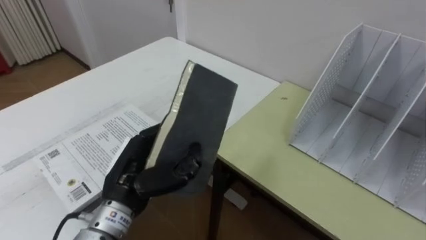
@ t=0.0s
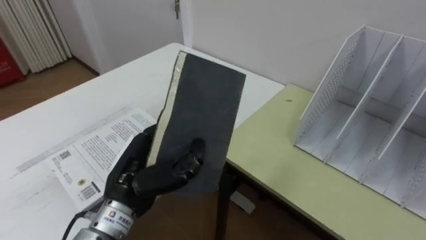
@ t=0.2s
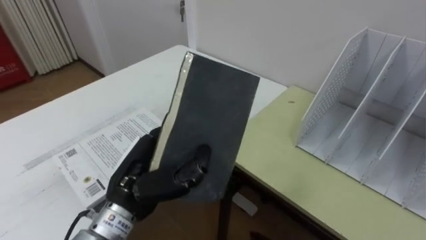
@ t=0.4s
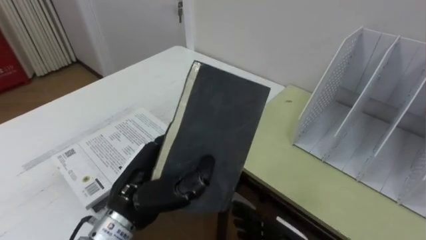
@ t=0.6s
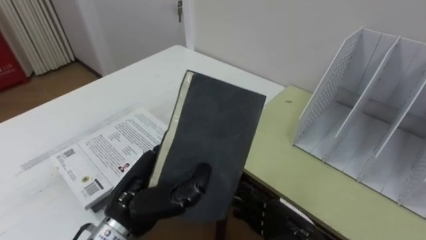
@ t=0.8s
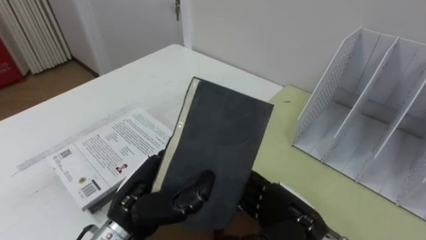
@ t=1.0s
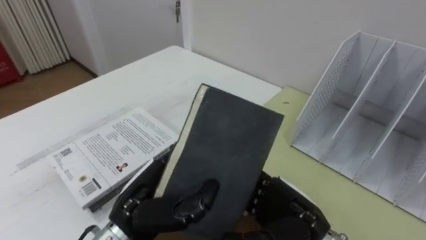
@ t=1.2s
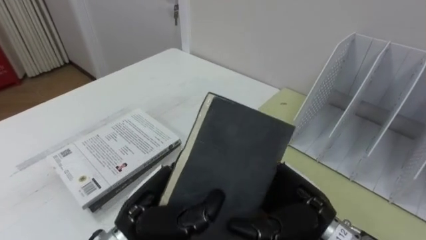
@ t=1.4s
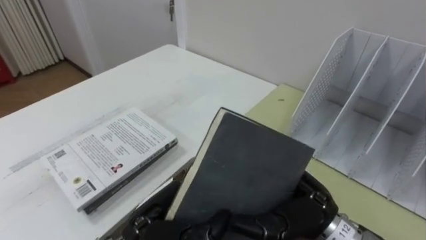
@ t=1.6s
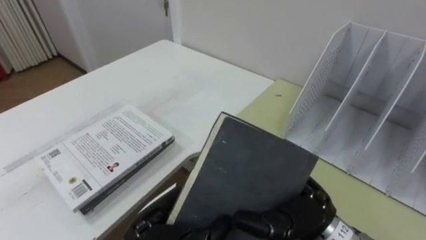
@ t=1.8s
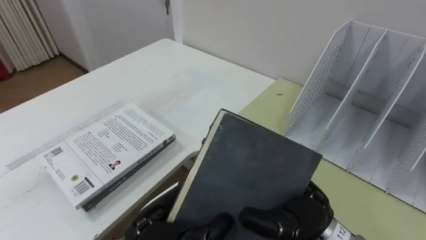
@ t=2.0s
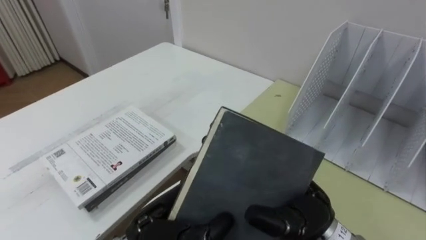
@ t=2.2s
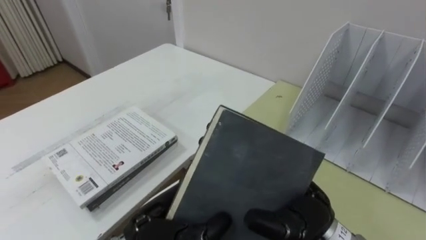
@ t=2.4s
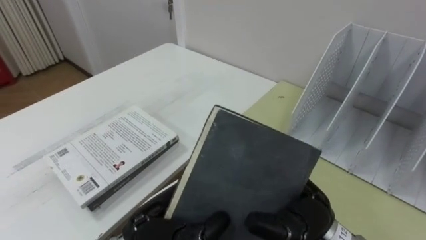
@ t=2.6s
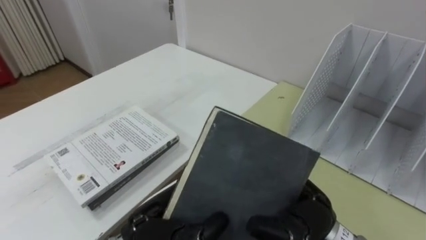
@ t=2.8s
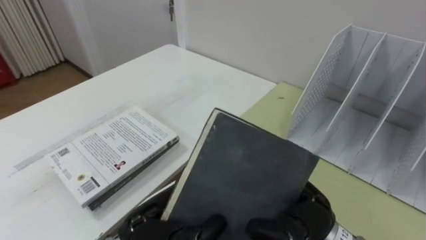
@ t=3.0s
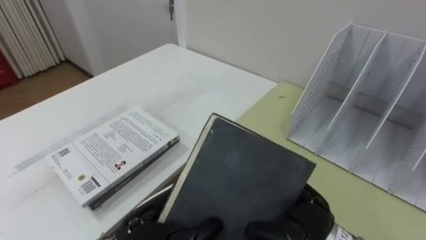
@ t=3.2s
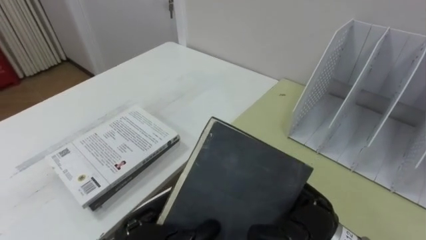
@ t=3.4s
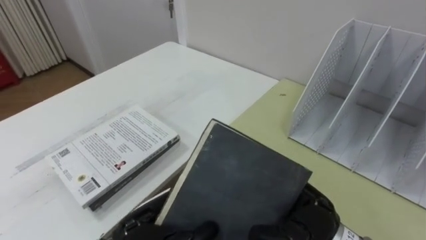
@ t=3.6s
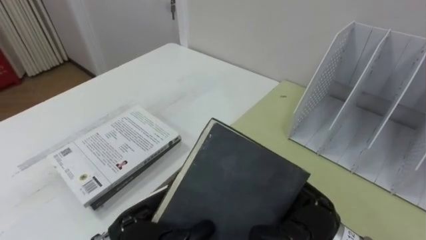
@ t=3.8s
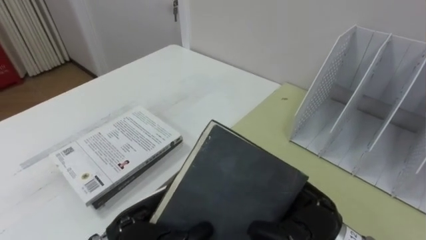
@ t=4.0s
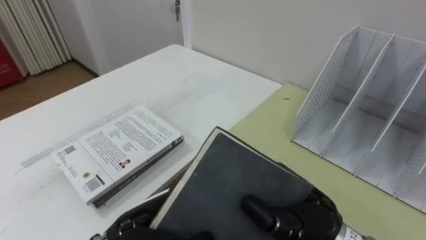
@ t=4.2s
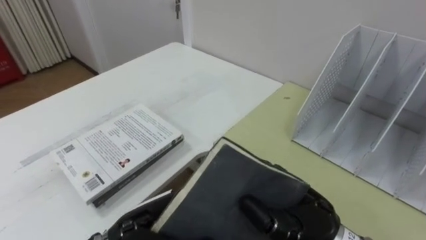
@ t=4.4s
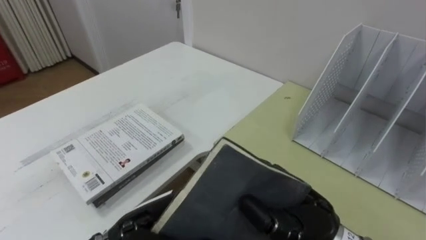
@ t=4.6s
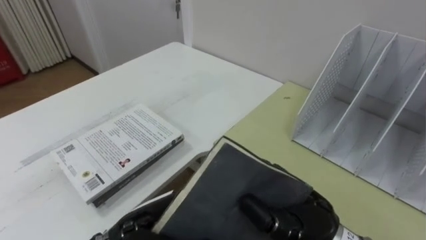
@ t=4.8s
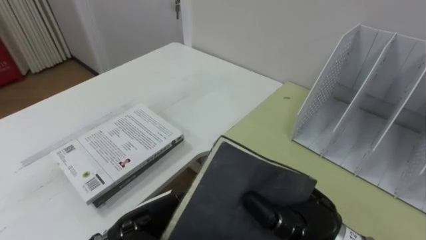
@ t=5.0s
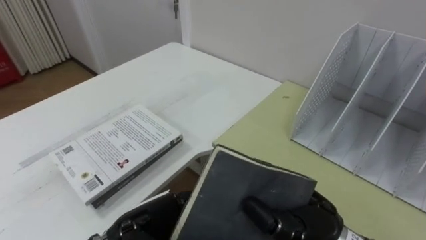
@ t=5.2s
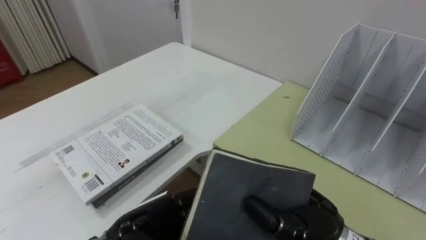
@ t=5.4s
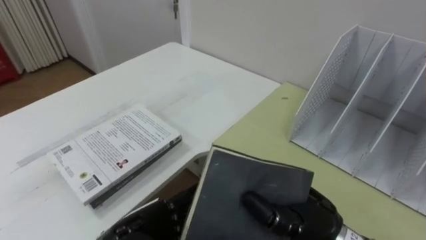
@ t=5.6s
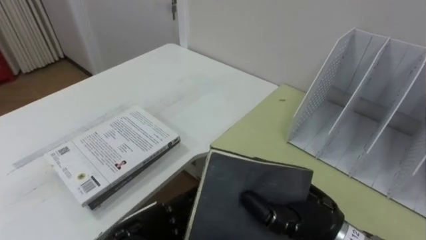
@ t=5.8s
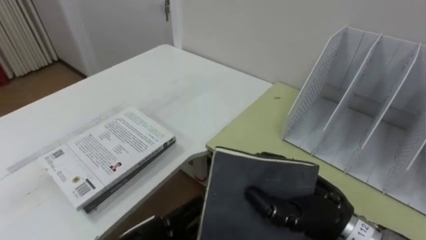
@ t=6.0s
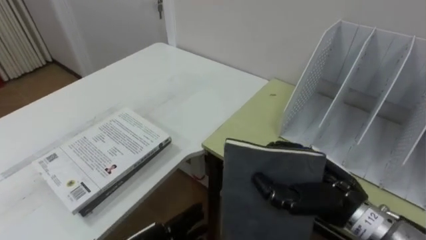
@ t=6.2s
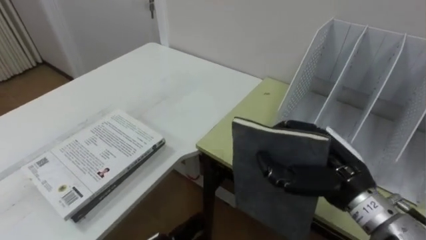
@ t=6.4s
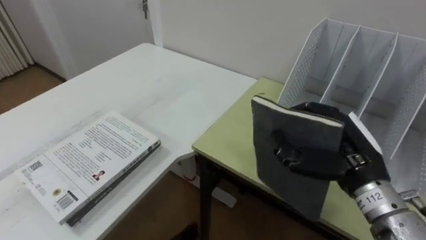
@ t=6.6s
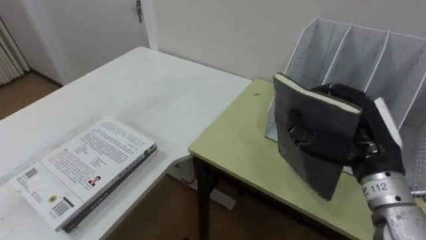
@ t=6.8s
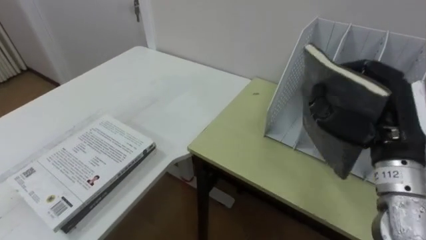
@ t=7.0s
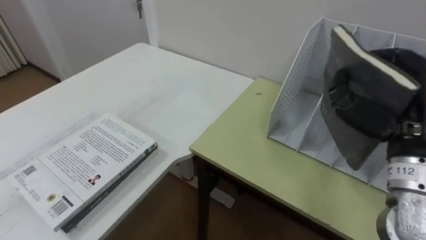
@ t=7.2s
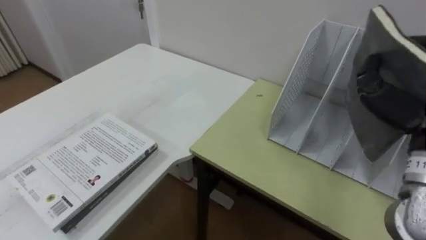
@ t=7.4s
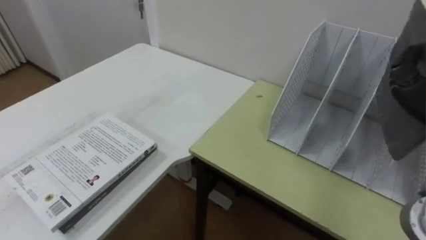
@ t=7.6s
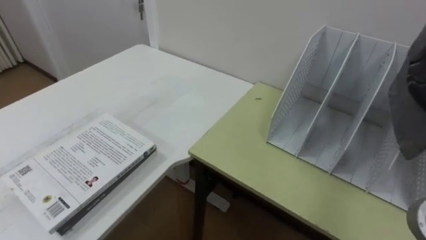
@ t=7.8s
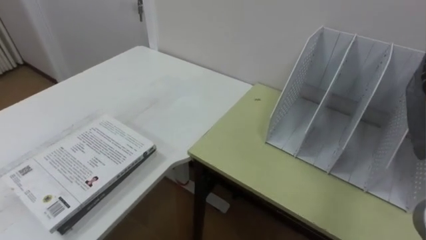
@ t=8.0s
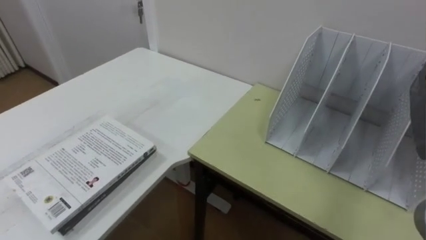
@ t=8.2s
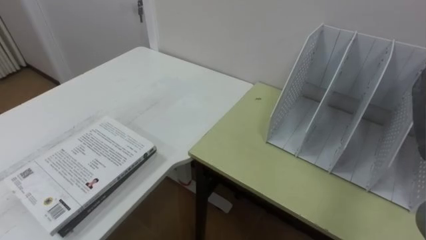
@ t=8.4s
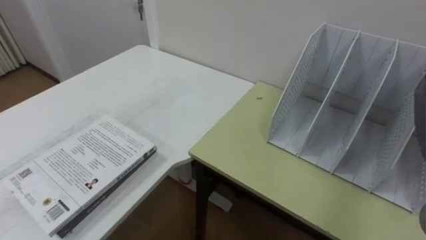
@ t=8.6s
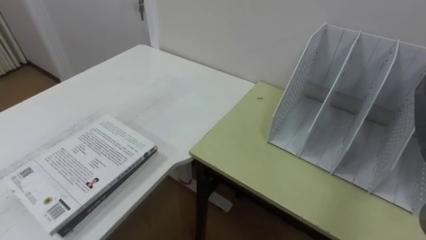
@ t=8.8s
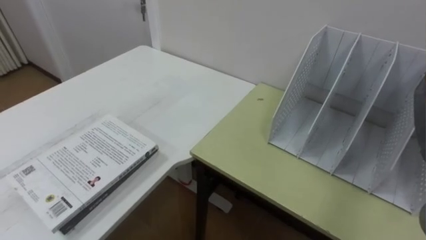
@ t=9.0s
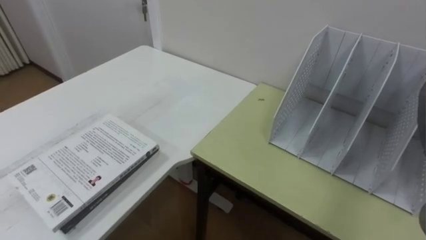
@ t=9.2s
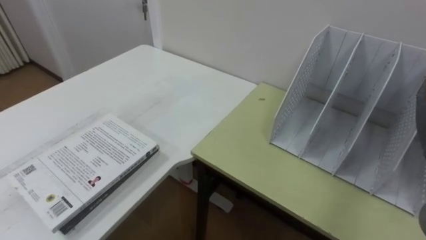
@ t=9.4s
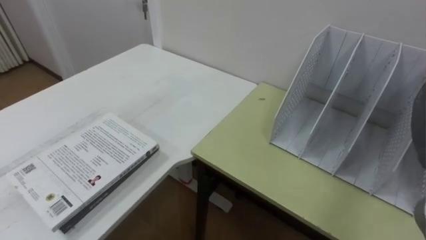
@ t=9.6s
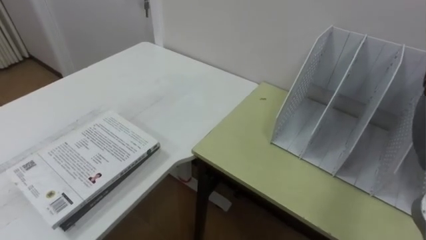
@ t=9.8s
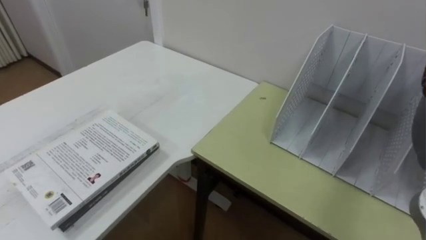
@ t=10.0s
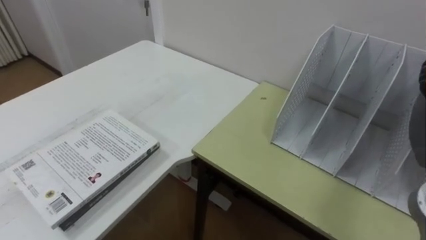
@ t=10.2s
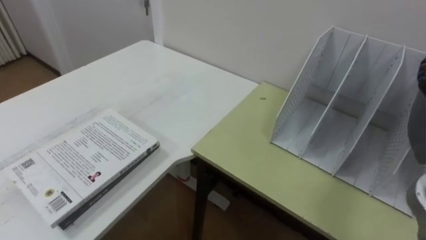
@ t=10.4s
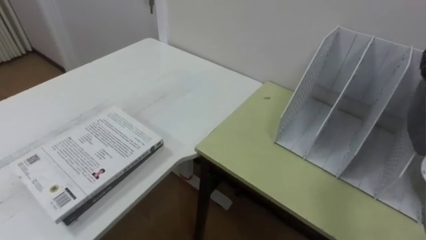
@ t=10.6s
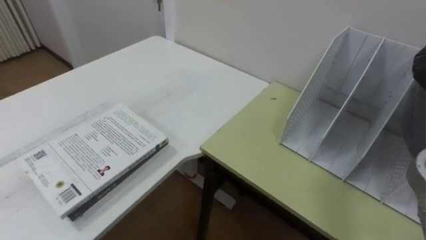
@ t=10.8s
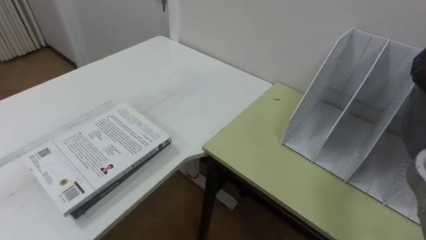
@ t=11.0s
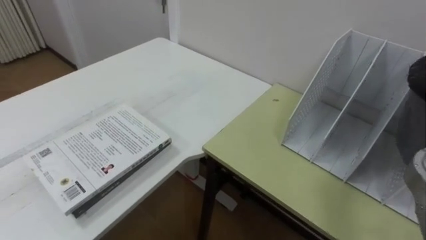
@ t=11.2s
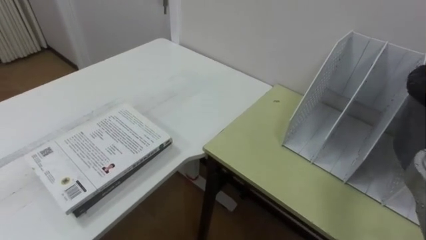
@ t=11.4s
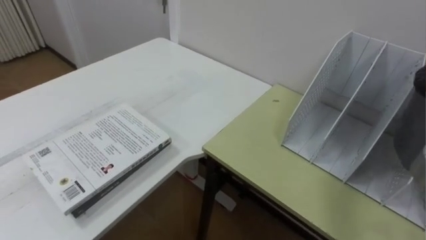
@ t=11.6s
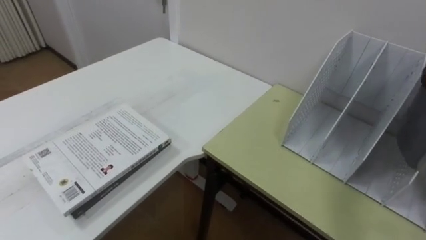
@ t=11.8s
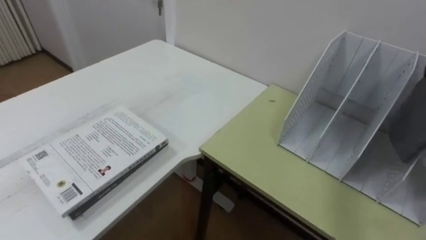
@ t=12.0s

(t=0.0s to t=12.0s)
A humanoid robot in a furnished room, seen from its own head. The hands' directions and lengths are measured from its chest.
Task of the whole recording: Put the books on the table onto the bookshelf.
t=0.0s - t=1.6s: The left hand travels backward and to the right by about 10 cm.
t=3.0s - t=4.4s: The right hand closes.

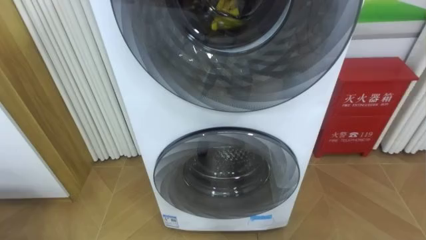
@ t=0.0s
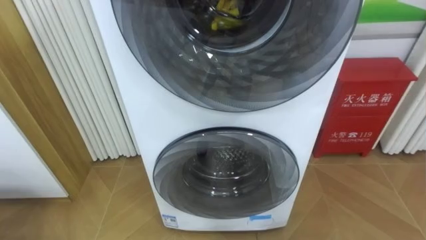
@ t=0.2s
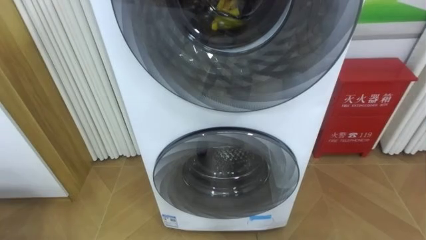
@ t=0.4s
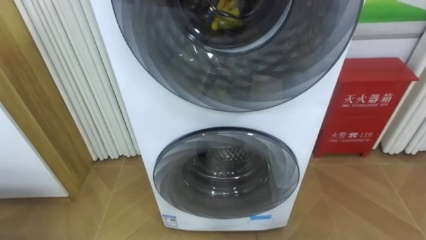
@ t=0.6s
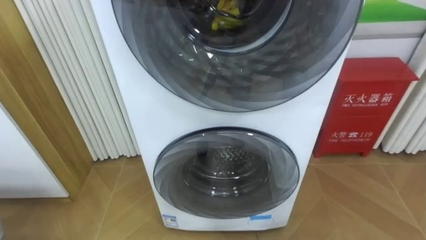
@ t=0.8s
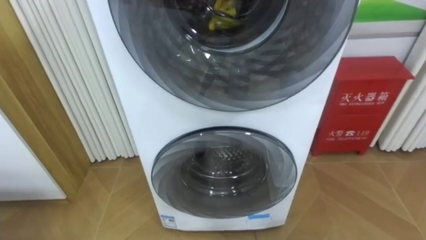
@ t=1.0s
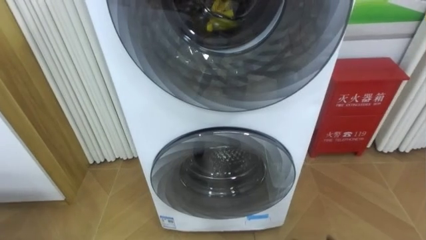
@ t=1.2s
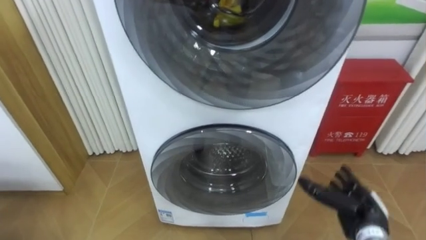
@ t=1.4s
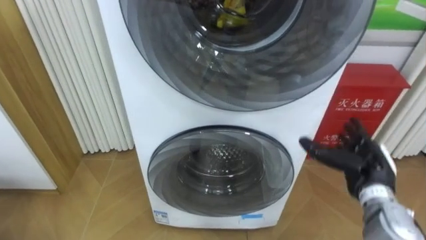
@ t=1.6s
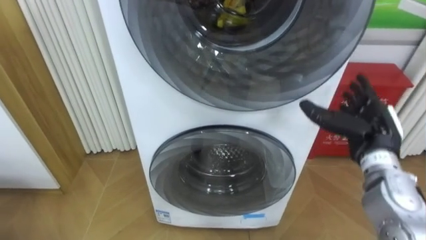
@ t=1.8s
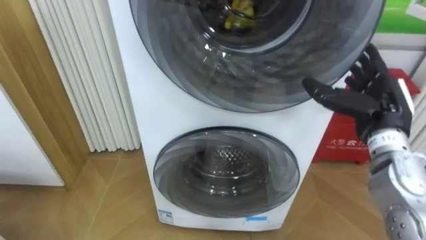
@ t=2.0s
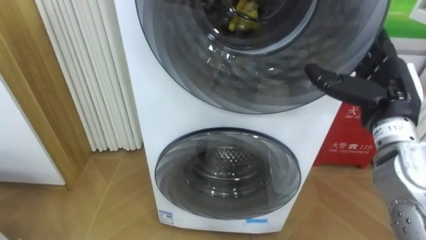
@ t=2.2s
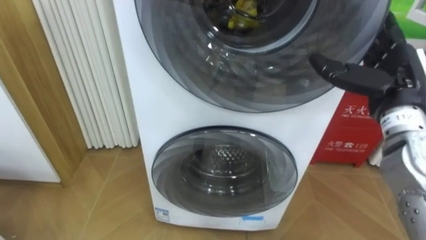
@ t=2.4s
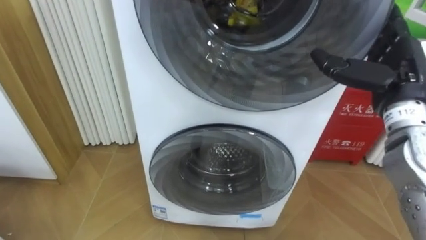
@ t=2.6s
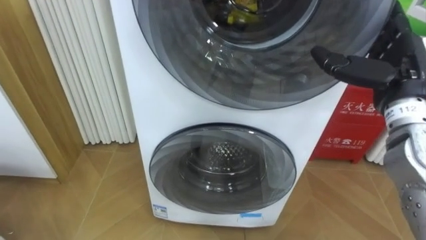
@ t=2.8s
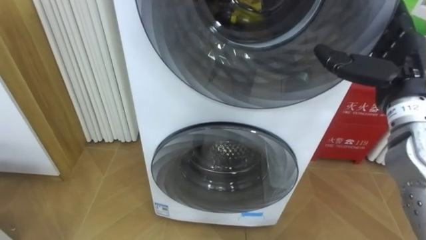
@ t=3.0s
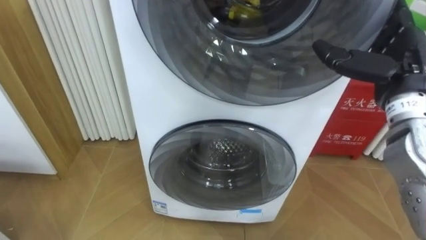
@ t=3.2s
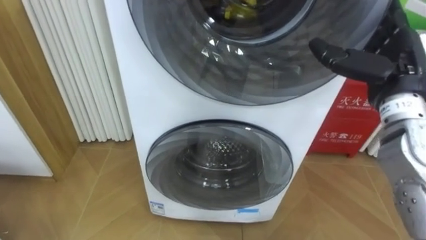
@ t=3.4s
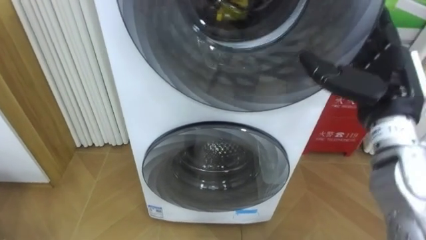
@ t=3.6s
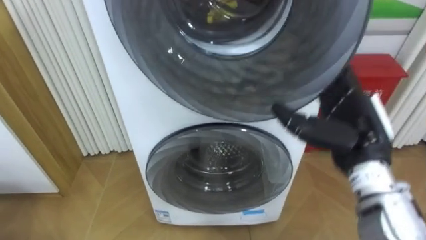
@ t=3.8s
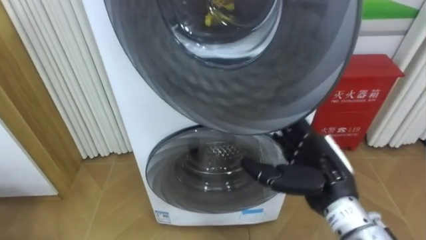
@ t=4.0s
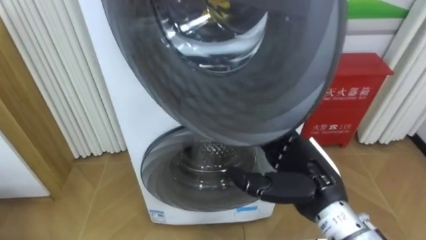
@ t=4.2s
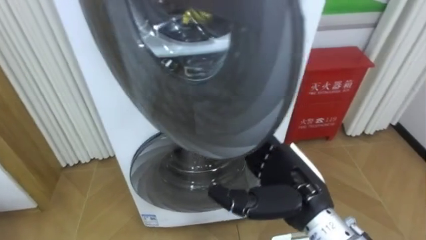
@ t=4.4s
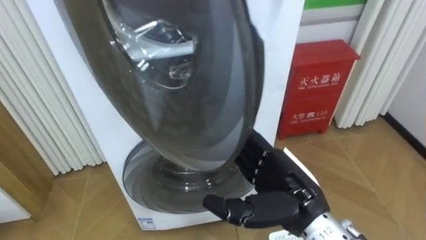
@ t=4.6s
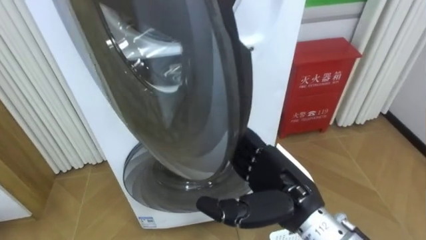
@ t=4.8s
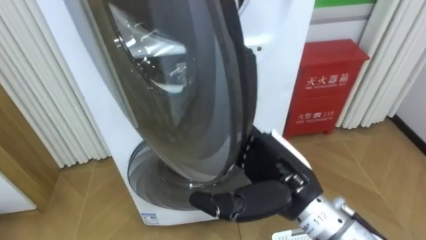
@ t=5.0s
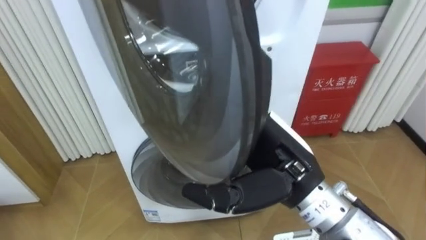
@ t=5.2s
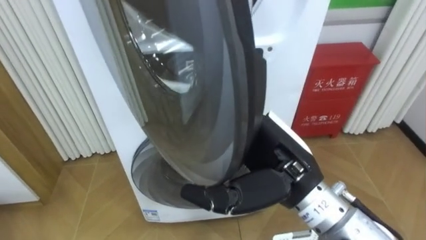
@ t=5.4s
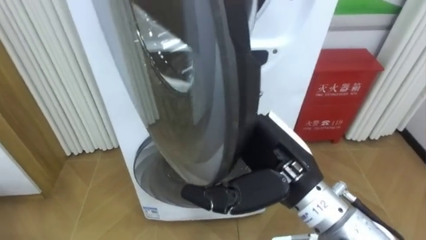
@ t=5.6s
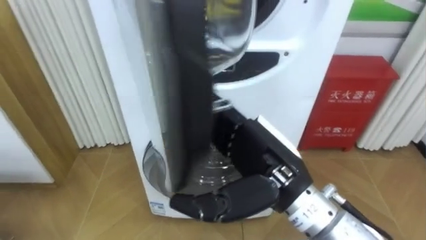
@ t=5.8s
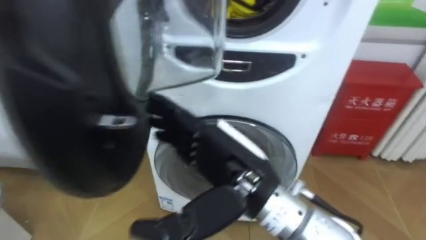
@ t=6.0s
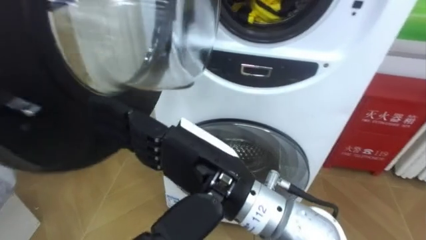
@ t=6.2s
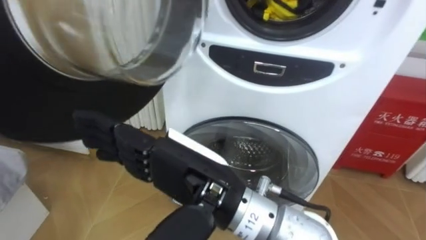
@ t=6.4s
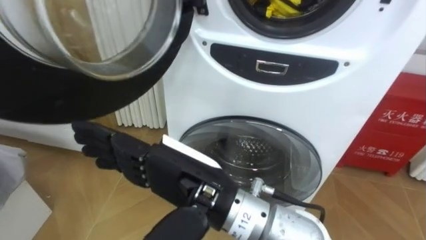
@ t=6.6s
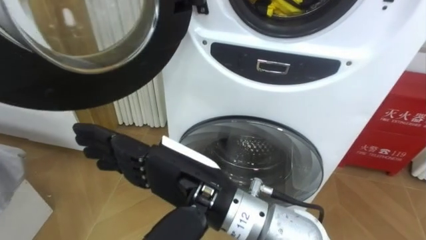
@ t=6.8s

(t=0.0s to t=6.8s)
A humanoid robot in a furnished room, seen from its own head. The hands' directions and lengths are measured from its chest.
Task of the whole recording: Open the washing machine door, take out the yellow clothes, place them in the box on the right, and close the washing machine door.
t=1.4s - t=2.8s: The right hand goes some 25 cm upward.
t=2.8s - t=4.0s: The right hand is displaced downward, to the left and backward by about 15 cm.
t=4.0s - t=5.4s: The right hand goes roughly 10 cm to the left and upward.
t=5.4s - t=6.8s: The right hand shifts some 10 cm to the left.
